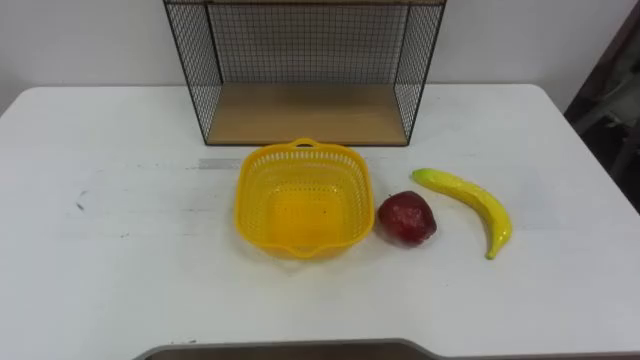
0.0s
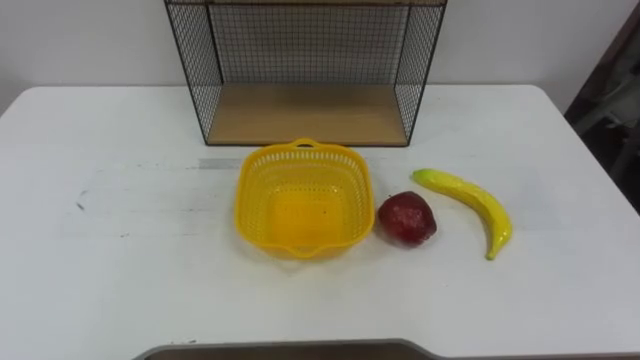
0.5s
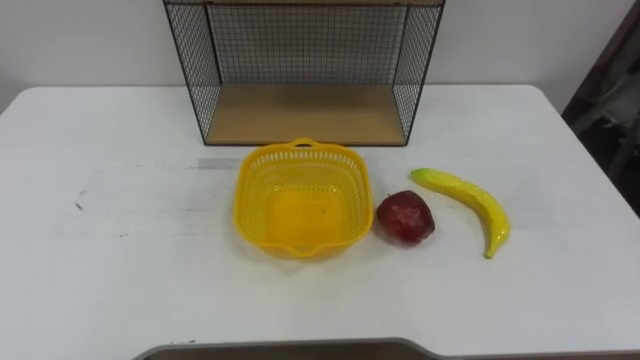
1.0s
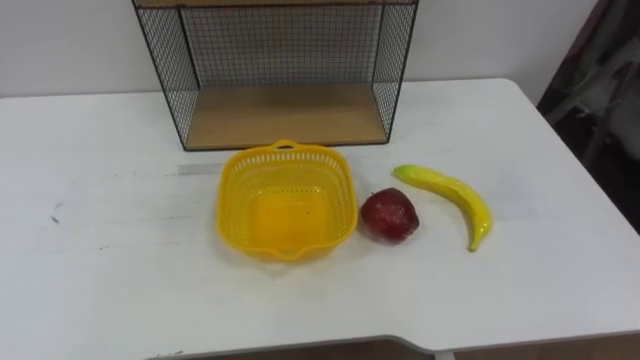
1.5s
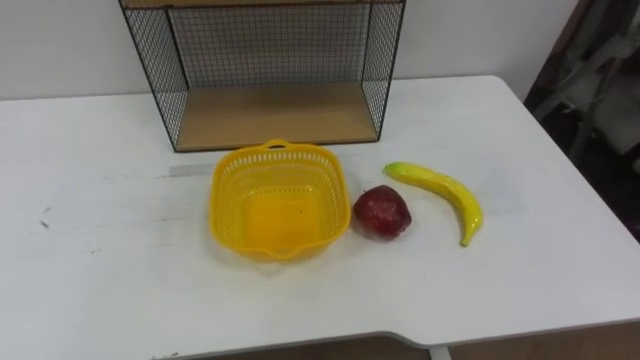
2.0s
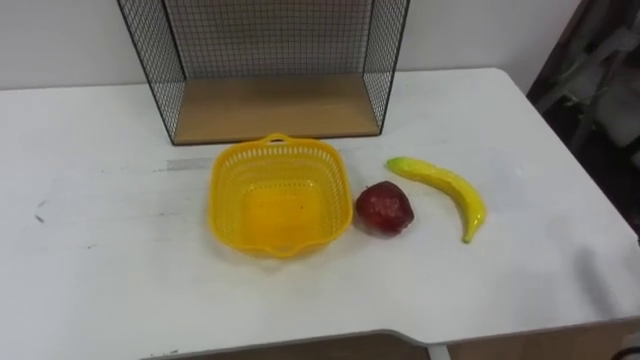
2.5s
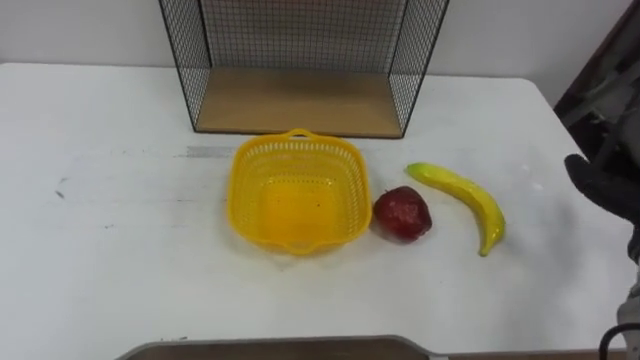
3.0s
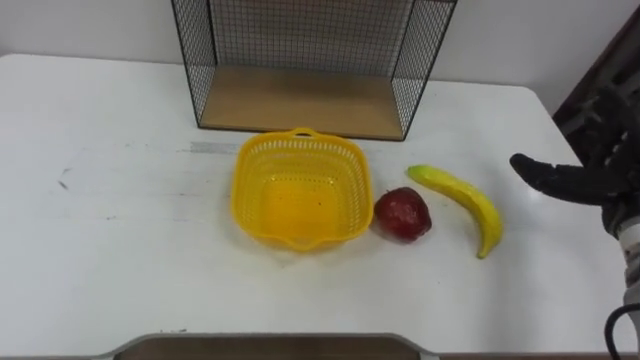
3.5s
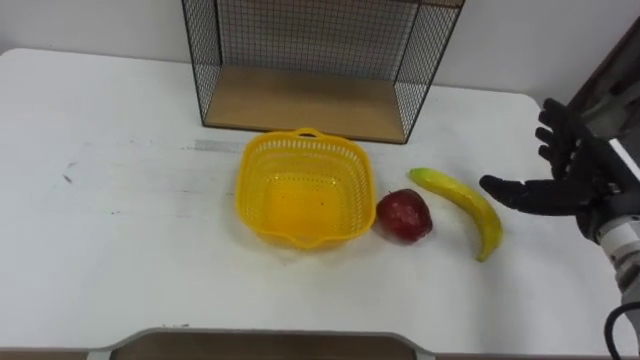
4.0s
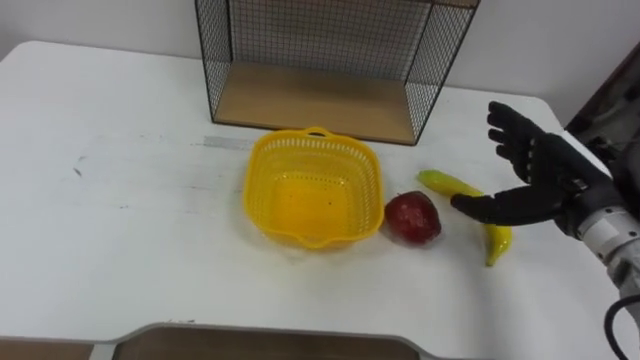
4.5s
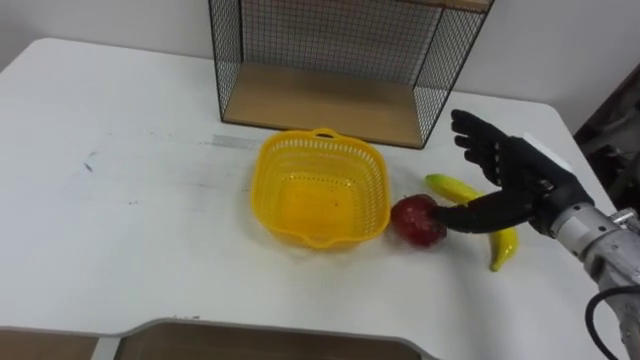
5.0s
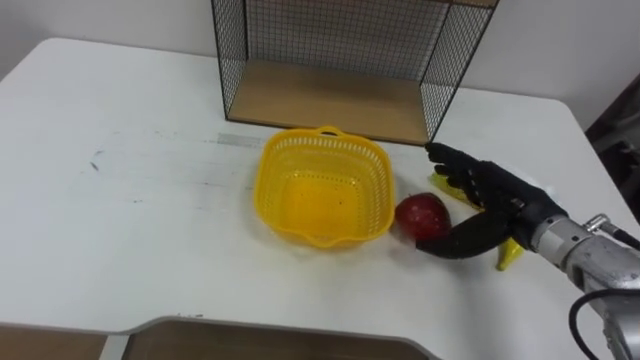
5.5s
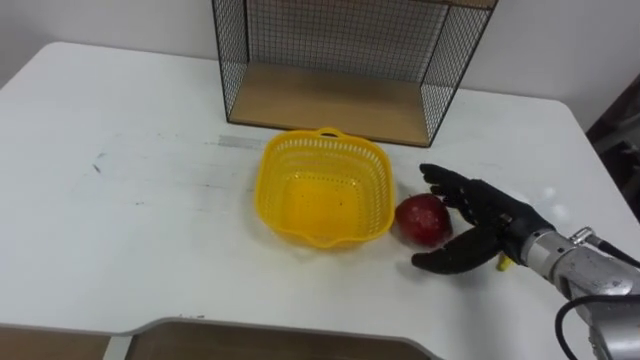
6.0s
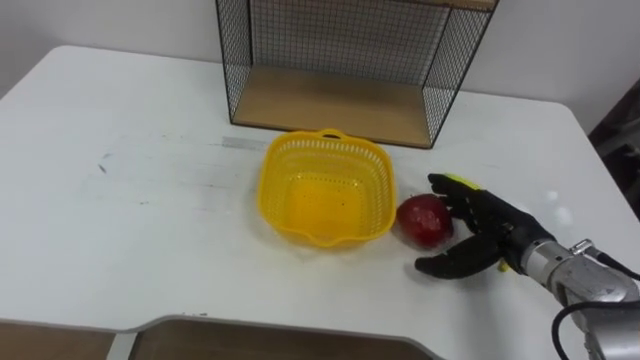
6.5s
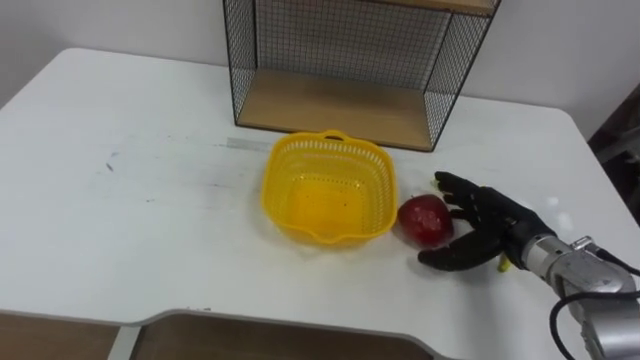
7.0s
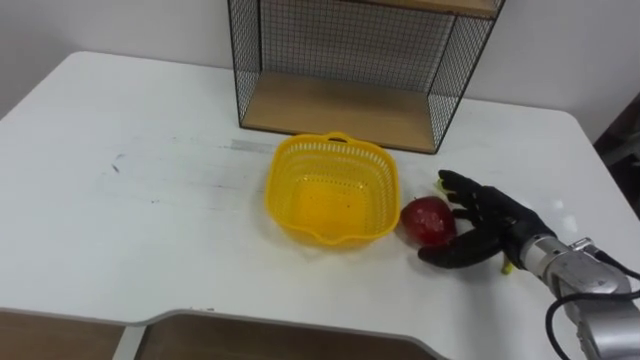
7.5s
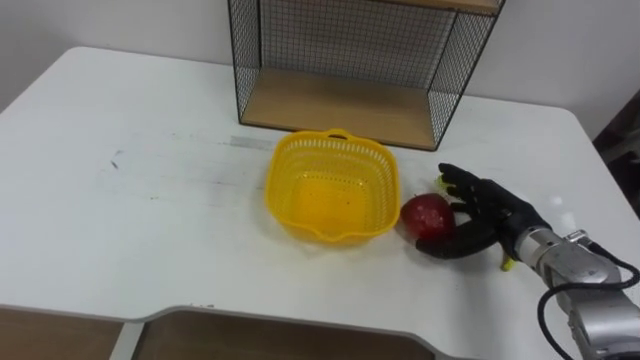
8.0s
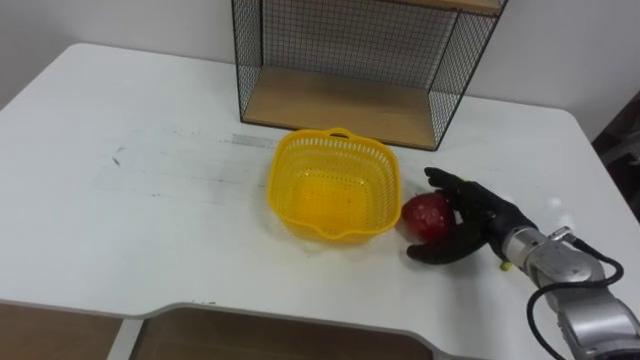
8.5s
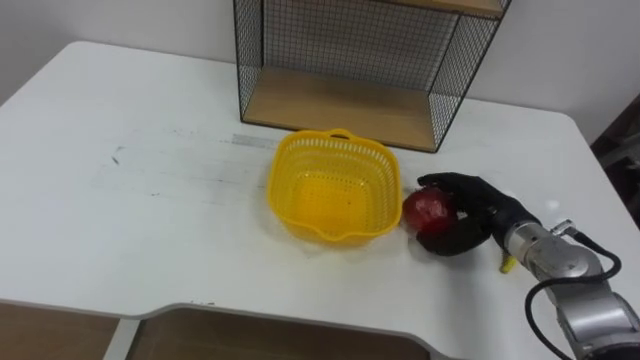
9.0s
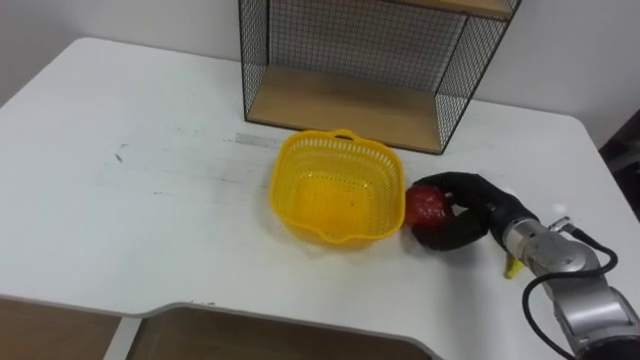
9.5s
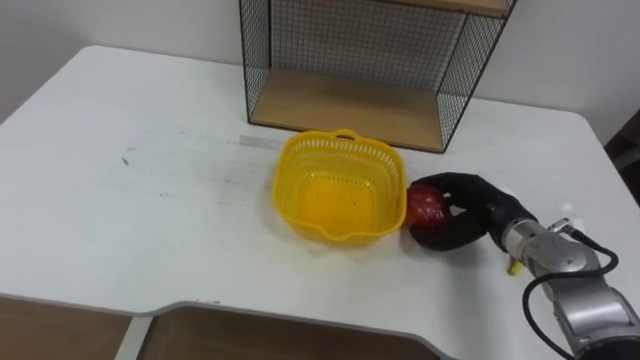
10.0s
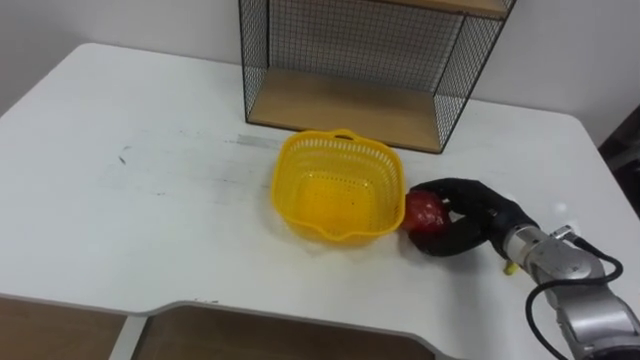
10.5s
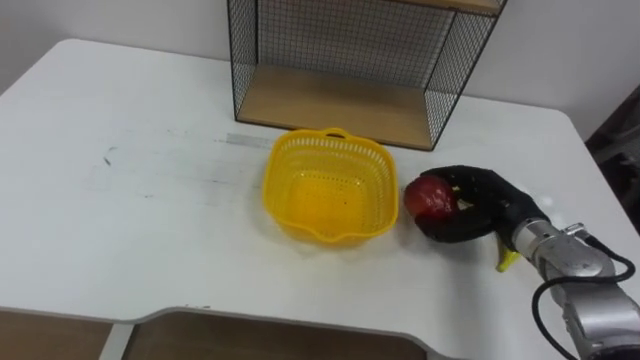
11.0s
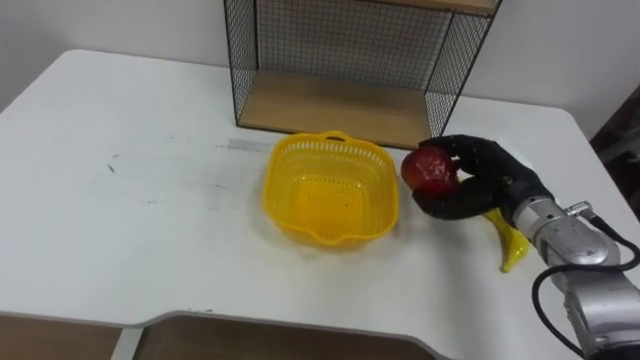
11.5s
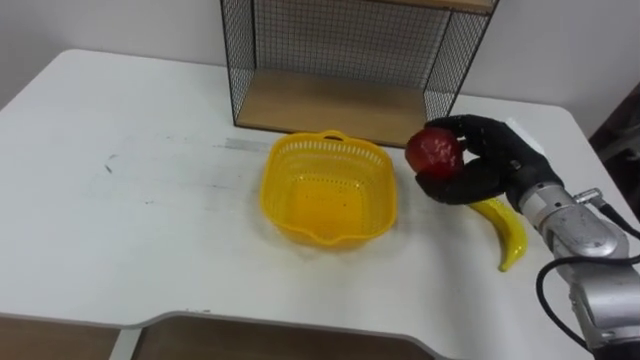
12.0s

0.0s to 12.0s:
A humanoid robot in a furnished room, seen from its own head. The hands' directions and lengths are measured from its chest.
Task of the whole recording: Put the fruit on the table into the basket, then place the basket on the shelf.
4.0s to 6.0s: The right hand shifts approximately 10 cm to the left.
8.0s to 10.0s: The right hand closes its fingers.
10.0s to 12.0s: The right hand goes about 5 cm upward.

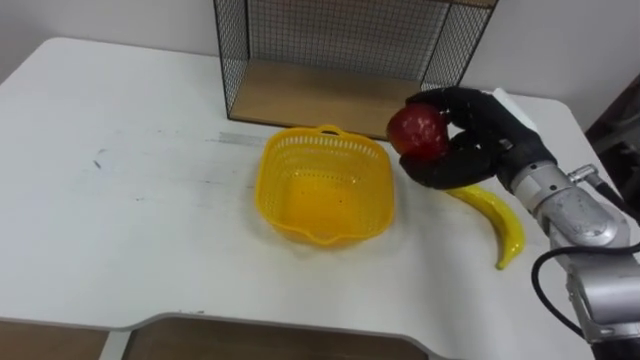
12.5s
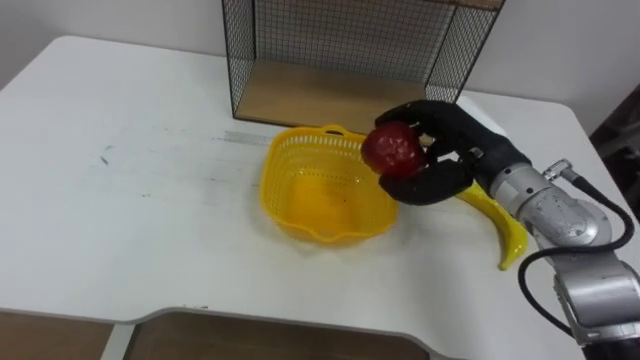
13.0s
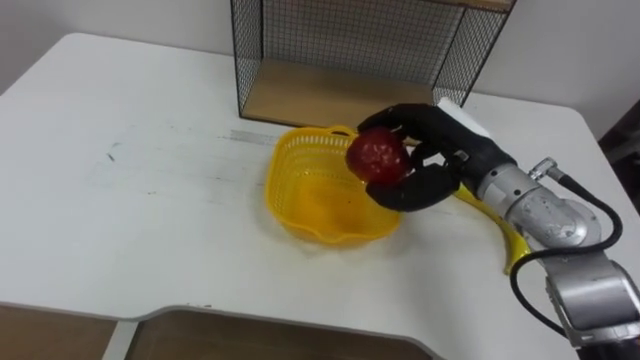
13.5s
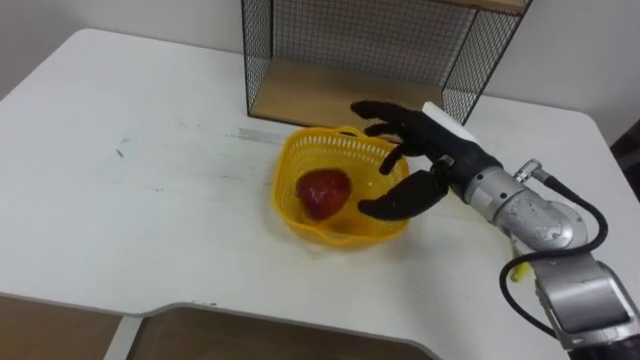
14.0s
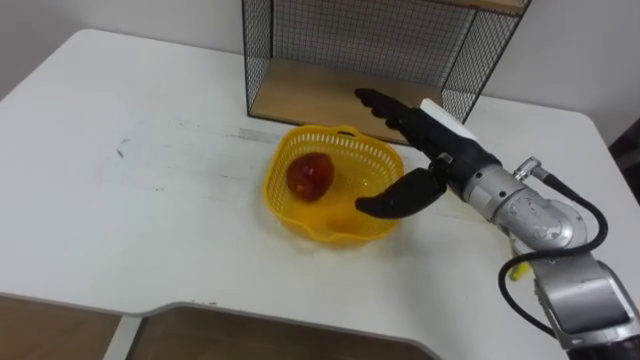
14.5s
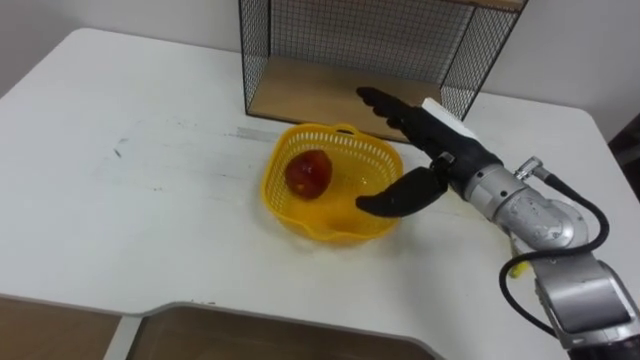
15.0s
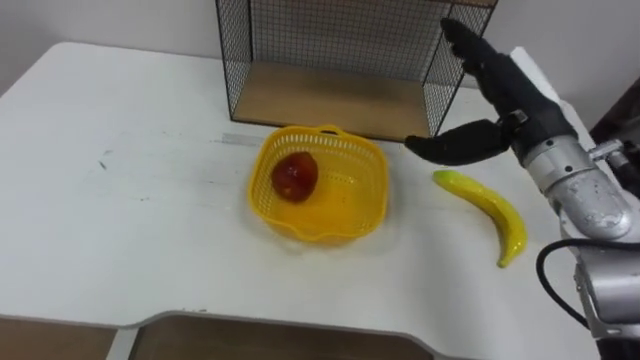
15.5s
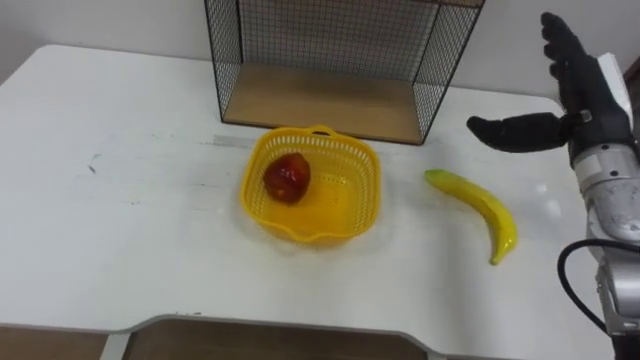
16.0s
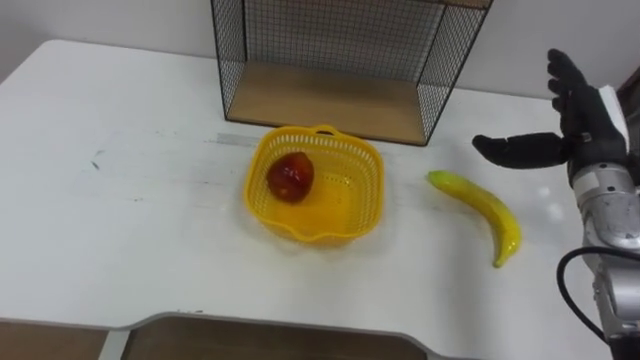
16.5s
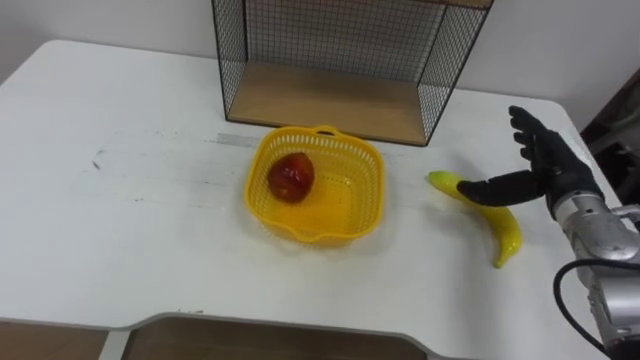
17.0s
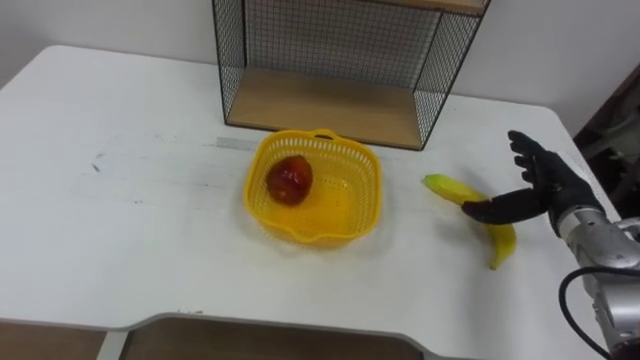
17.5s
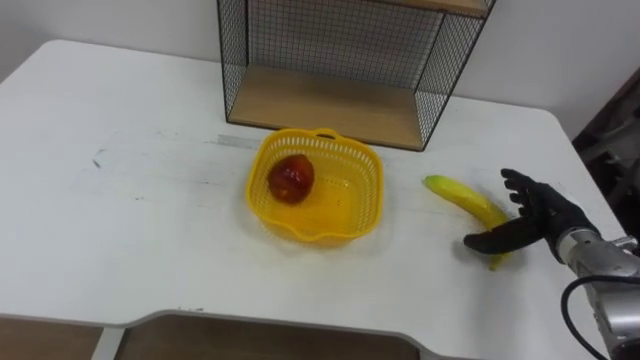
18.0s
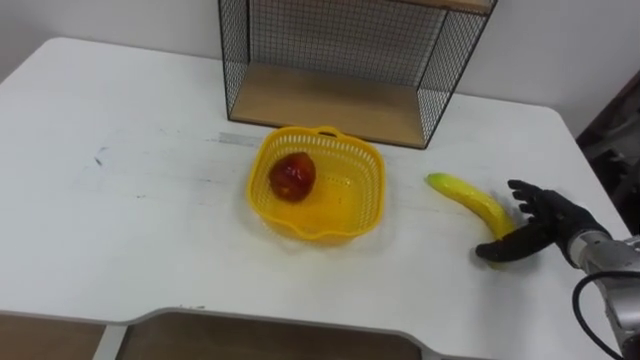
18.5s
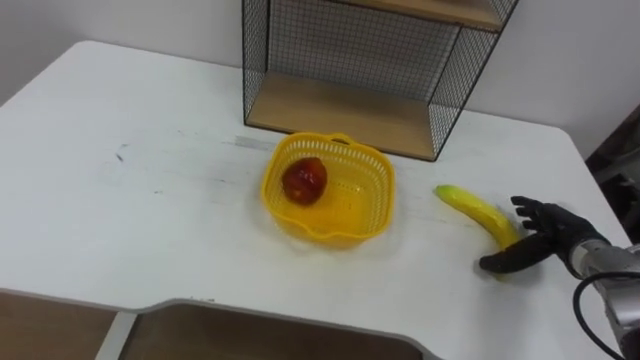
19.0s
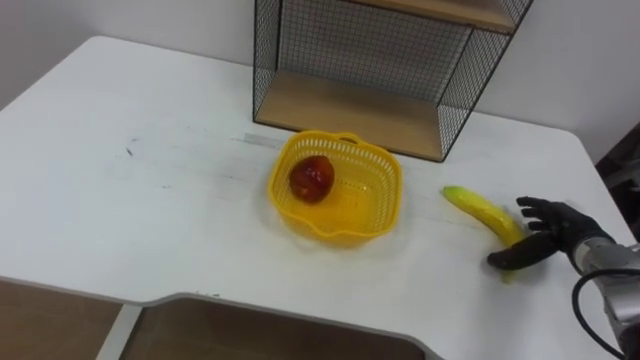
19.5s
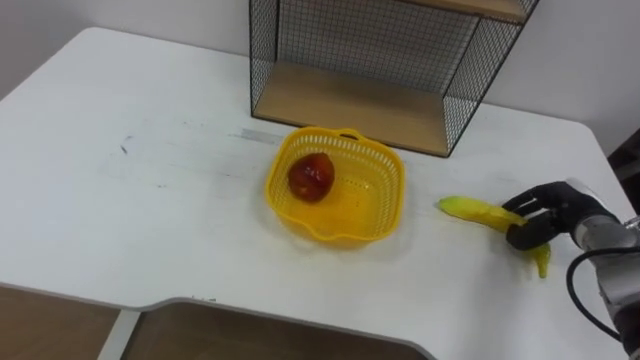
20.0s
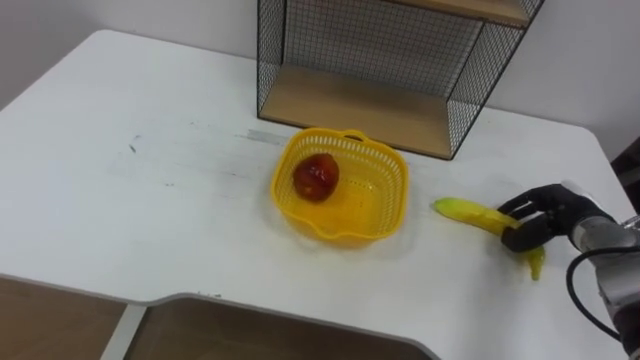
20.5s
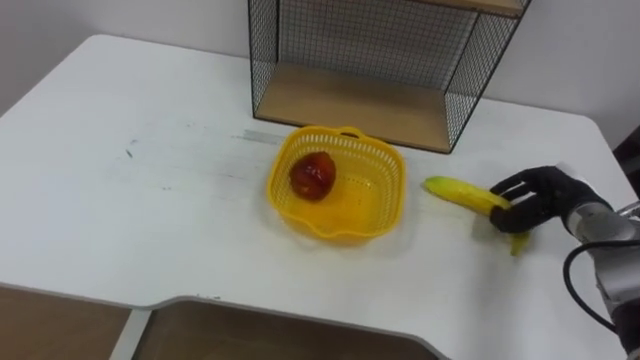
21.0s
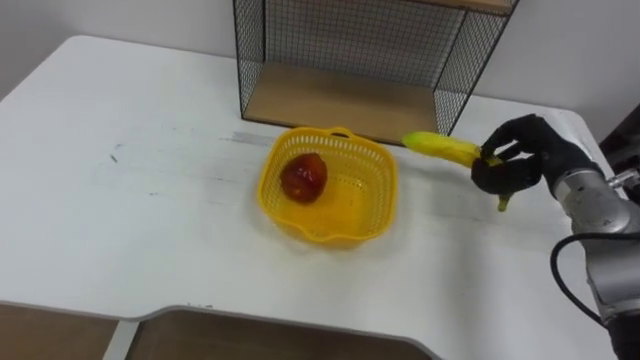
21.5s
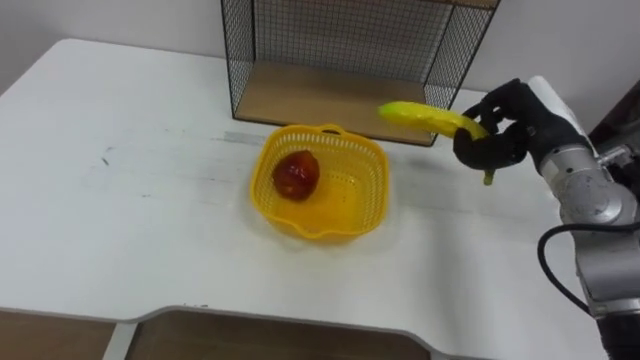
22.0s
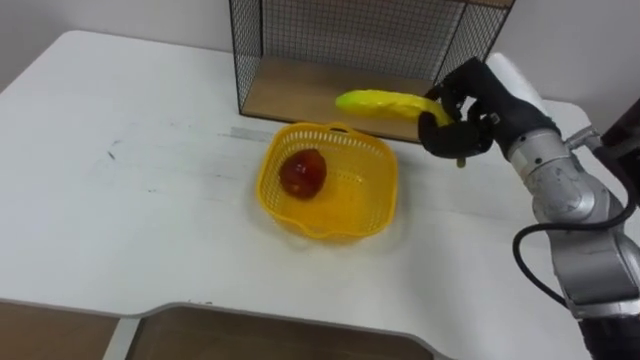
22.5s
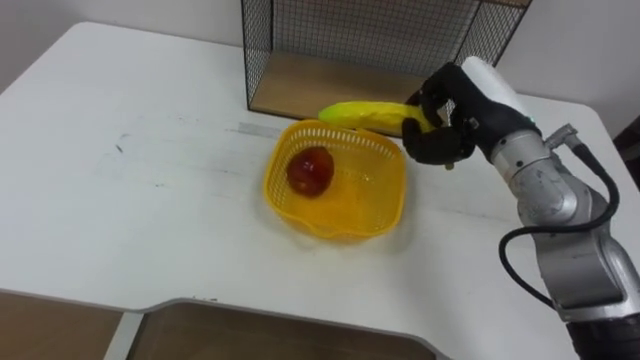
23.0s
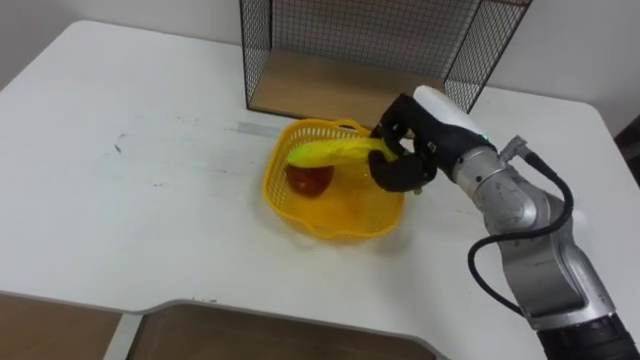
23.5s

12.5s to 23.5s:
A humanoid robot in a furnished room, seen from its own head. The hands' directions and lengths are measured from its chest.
Task of the whole recording: Put the fruit on the table into the basket, then place the basket on the shelf.
12.5s to 14.5s: The right hand is displaced to the left by approximately 5 cm, and opens.
14.5s to 16.0s: The right hand moves to the right, about 15 cm.
16.0s to 18.0s: The right hand travels downward by roughly 15 cm.
18.0s to 20.0s: The right hand closes.
20.0s to 21.5s: The right hand shifts roughly 10 cm upward and to the left.
21.5s to 23.5s: The right hand shifts roughly 15 cm to the left.
